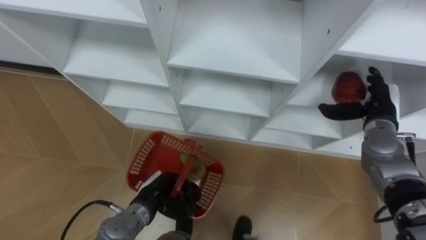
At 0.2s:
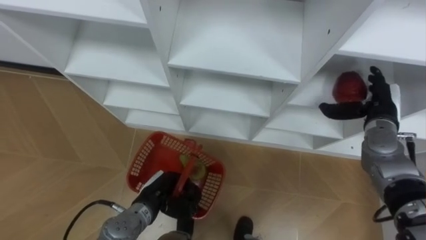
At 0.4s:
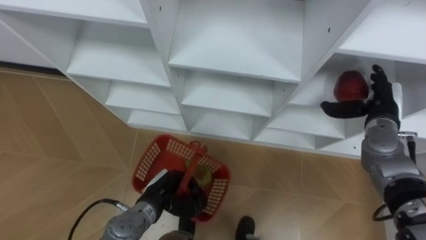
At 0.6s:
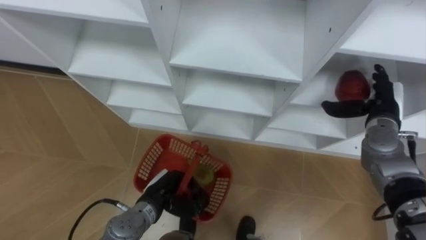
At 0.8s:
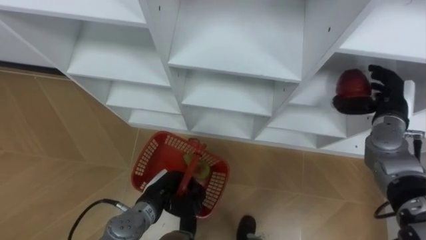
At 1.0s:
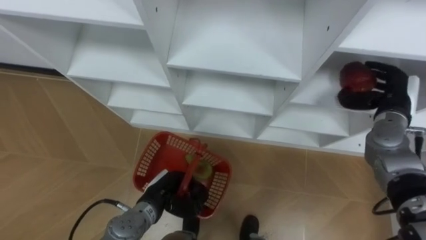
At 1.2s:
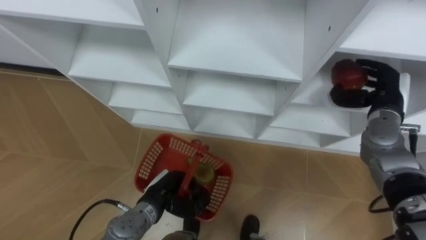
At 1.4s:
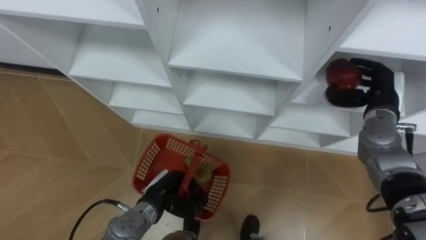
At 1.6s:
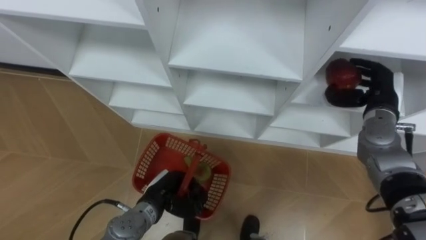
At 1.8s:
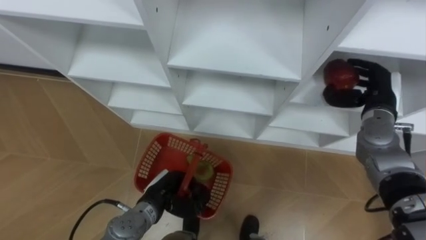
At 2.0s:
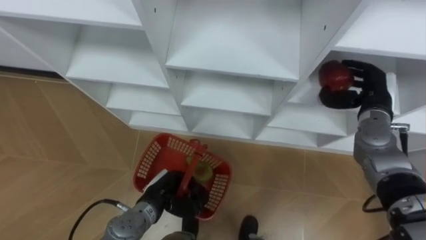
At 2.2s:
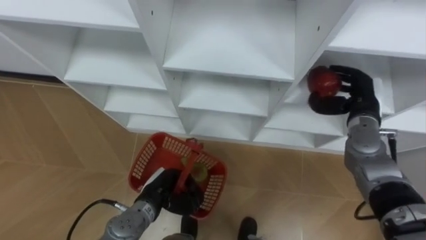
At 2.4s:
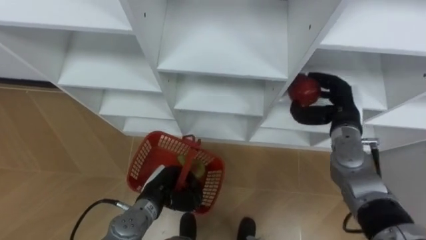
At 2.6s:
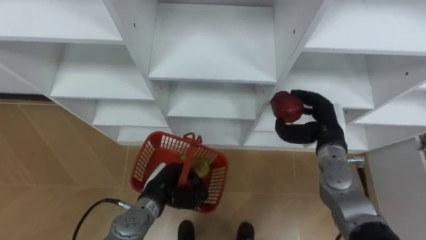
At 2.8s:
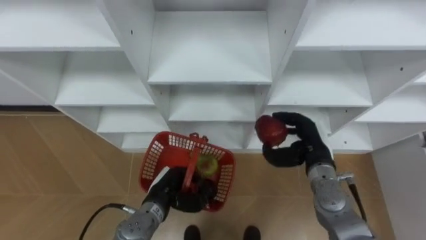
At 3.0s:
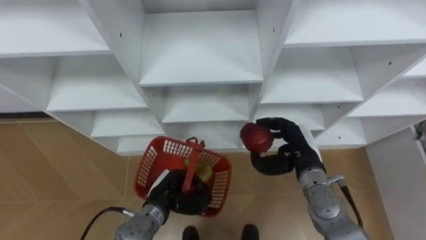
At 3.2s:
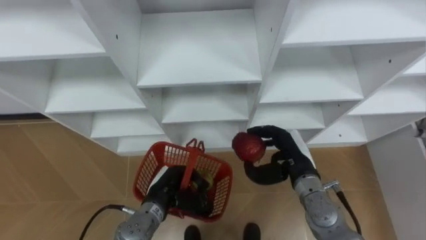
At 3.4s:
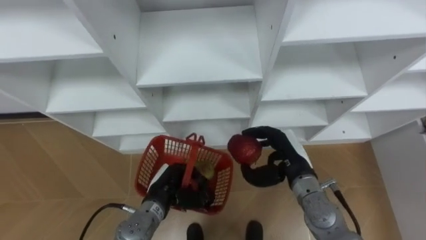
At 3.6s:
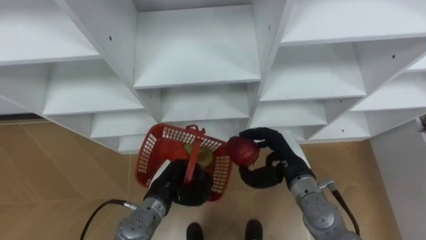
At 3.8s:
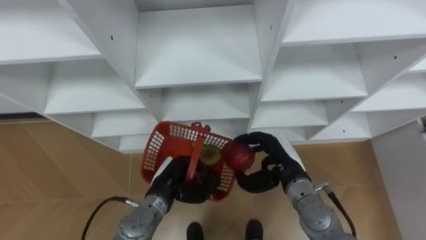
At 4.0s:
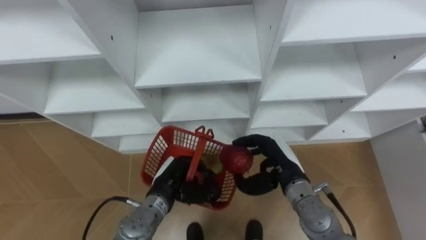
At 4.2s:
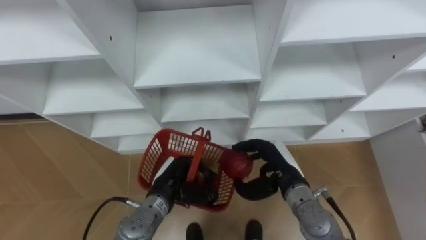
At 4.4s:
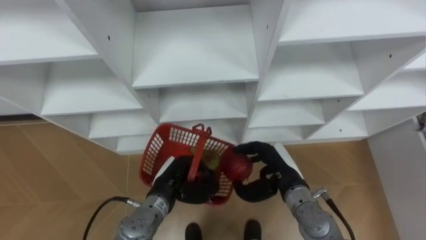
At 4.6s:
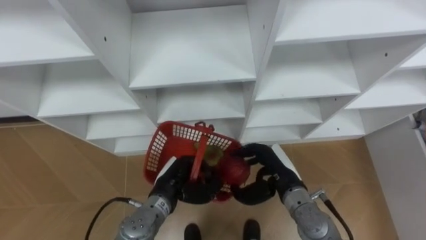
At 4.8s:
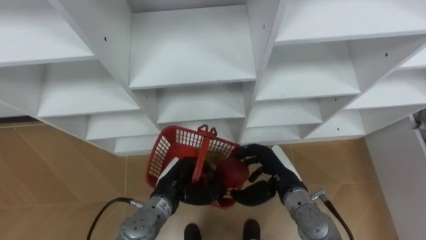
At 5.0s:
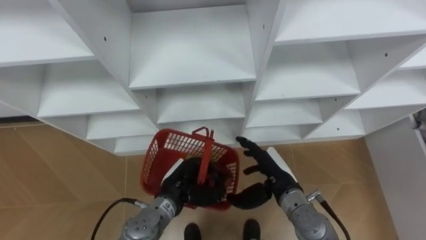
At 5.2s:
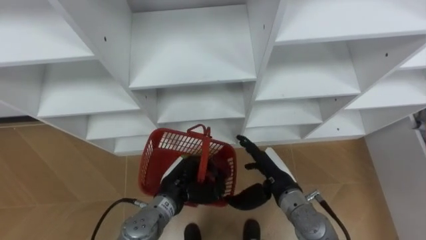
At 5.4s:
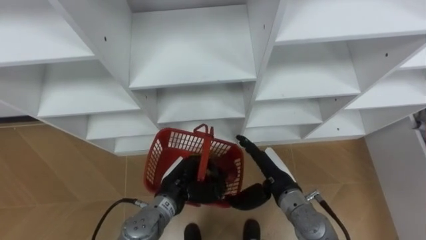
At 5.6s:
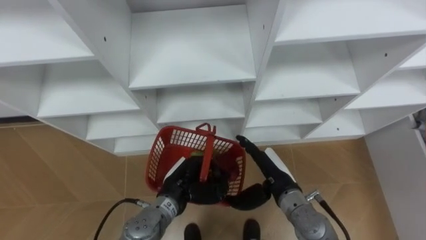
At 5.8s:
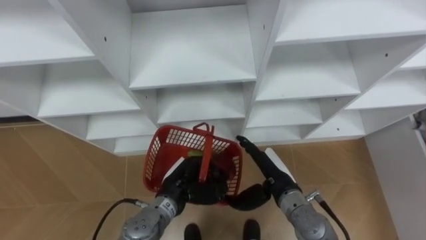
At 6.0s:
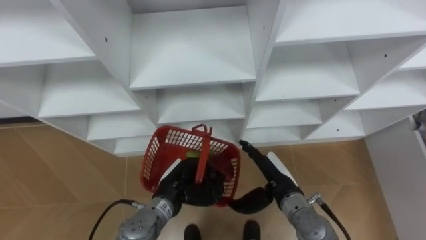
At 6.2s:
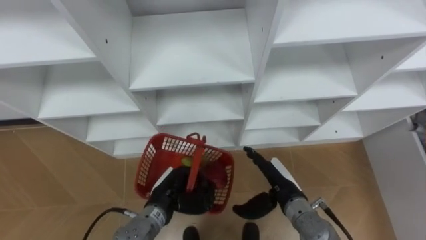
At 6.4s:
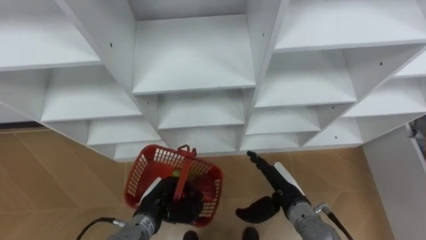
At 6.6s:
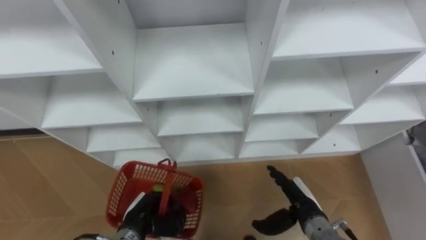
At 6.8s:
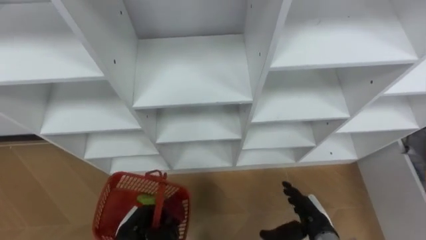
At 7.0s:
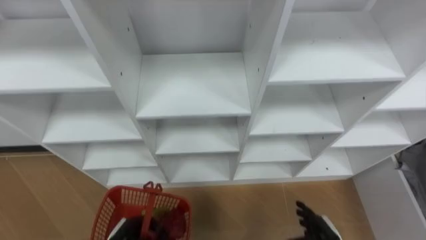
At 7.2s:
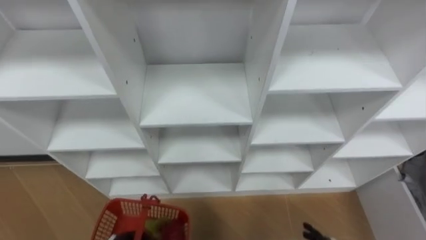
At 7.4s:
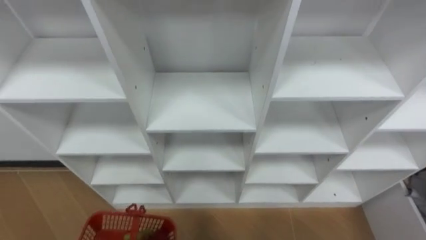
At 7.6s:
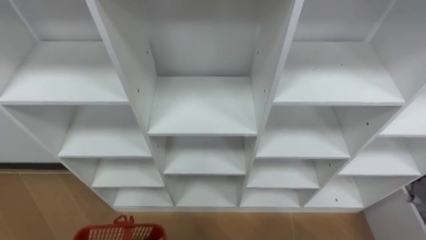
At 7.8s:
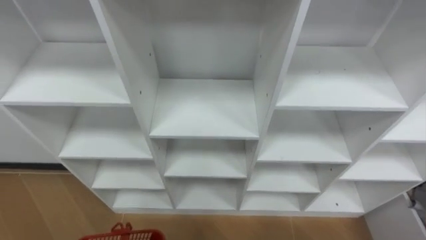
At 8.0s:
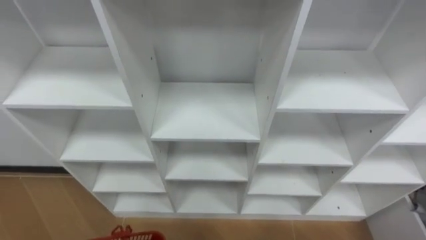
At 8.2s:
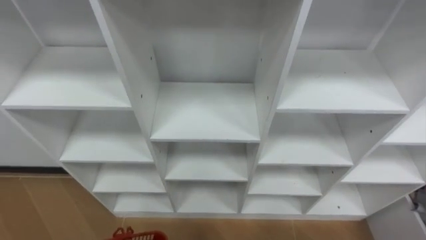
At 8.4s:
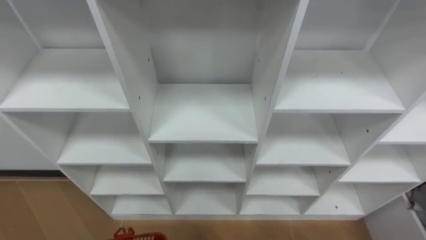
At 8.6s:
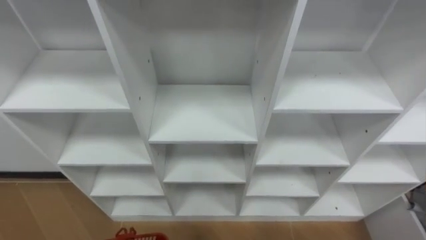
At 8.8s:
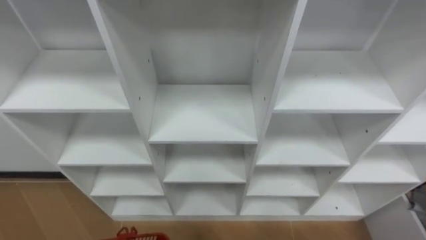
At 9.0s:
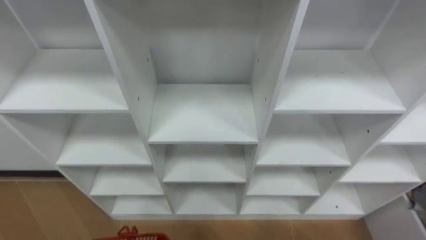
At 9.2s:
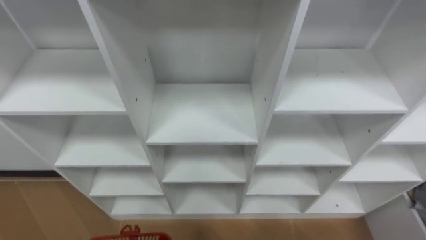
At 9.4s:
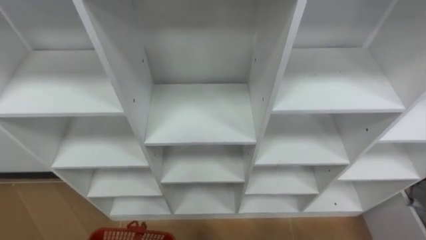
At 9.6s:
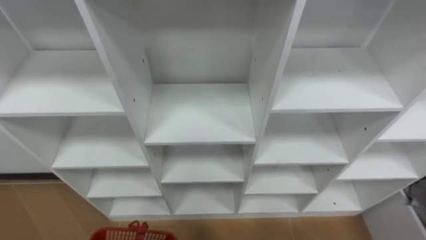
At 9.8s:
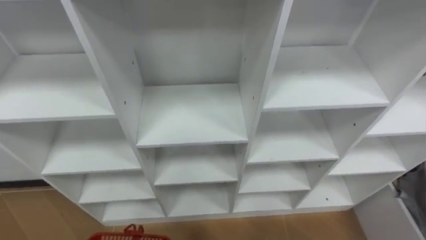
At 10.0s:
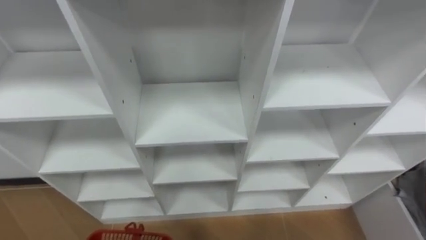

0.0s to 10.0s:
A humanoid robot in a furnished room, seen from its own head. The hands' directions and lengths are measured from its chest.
Task of the whole recording: Hold the basket and collect the fruits from 3 different cells of the closet into it.
0.0s to 1.4s: The right hand closes its fingers.
1.4s to 2.8s: The right hand is displaced to the left, downward and backward by some 15 cm.
2.8s to 4.2s: The right hand goes roughly 5 cm to the left.
4.2s to 5.8s: The right hand opens up.
